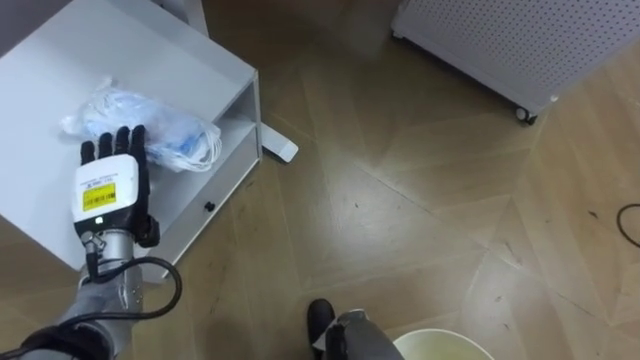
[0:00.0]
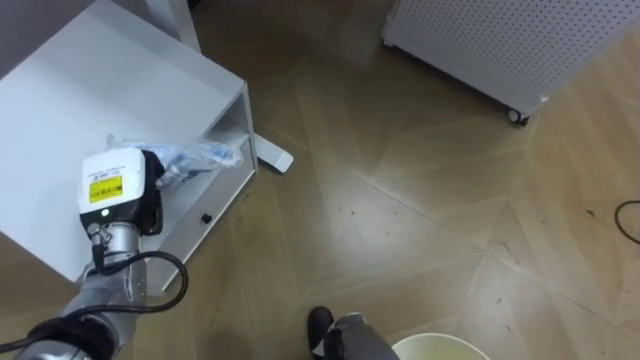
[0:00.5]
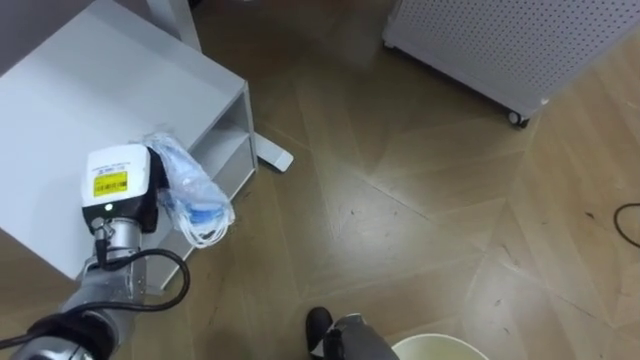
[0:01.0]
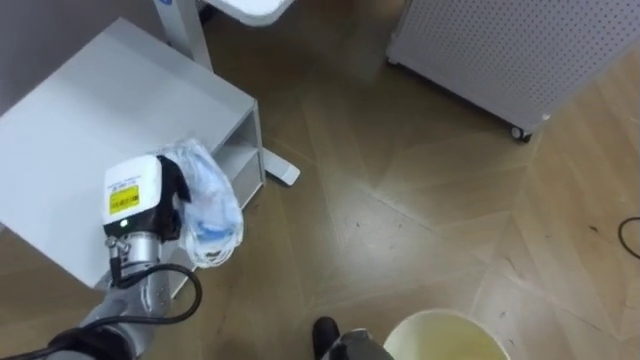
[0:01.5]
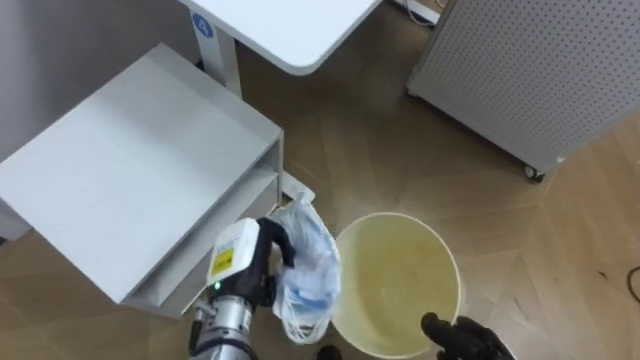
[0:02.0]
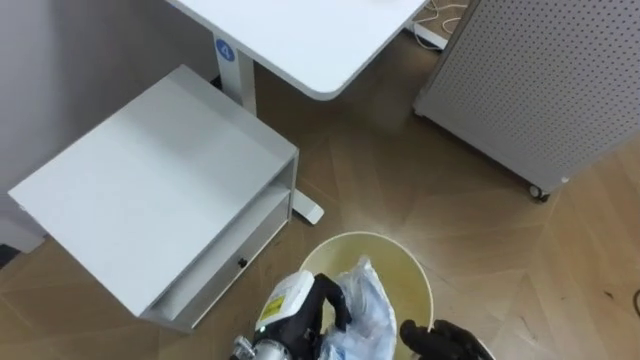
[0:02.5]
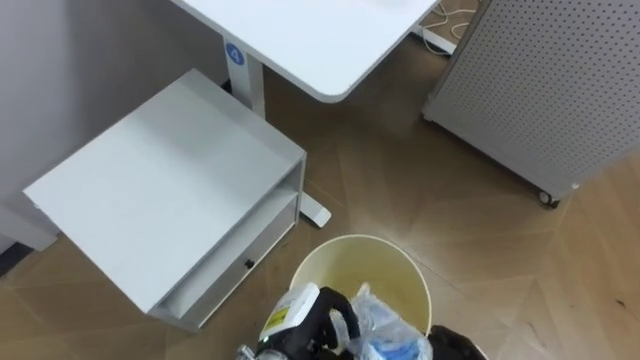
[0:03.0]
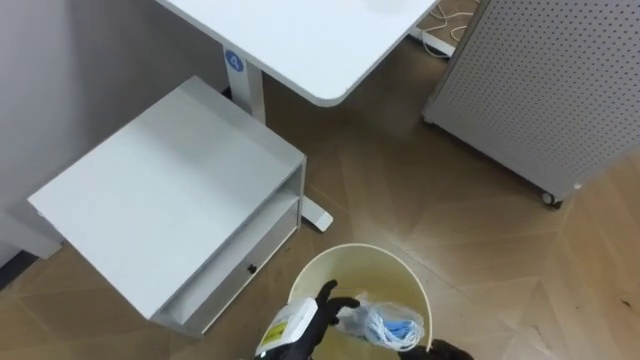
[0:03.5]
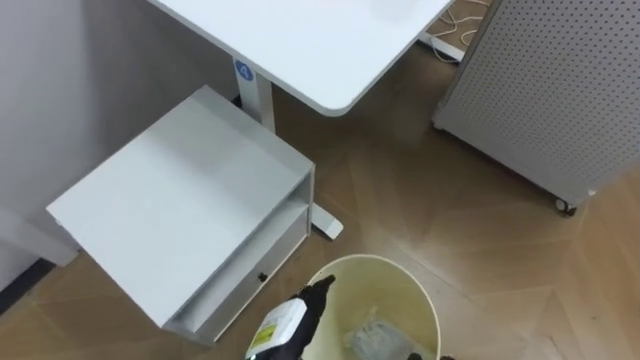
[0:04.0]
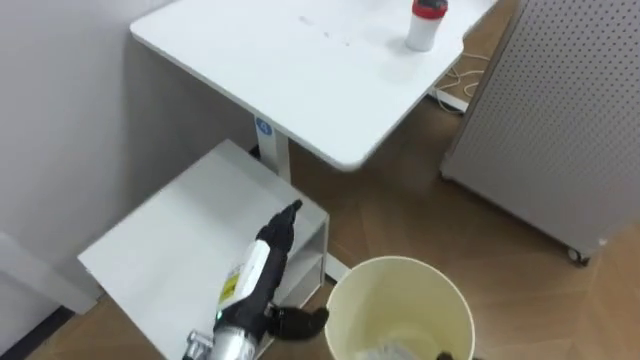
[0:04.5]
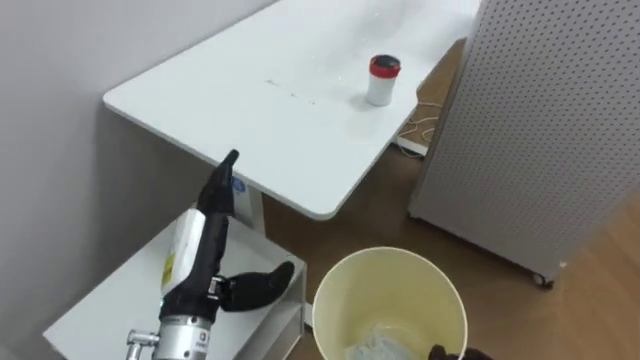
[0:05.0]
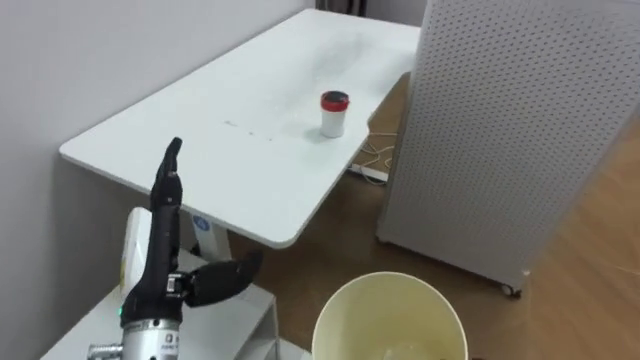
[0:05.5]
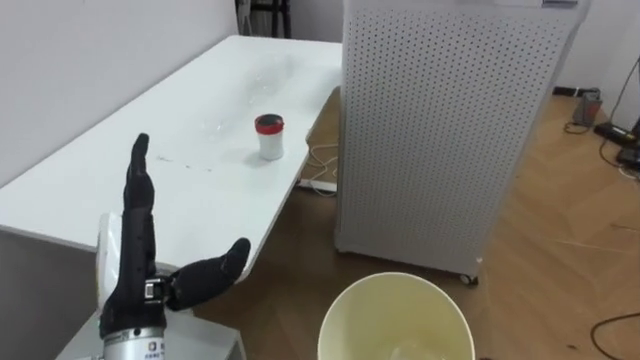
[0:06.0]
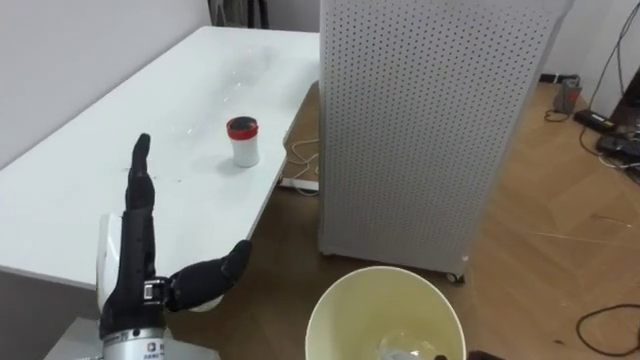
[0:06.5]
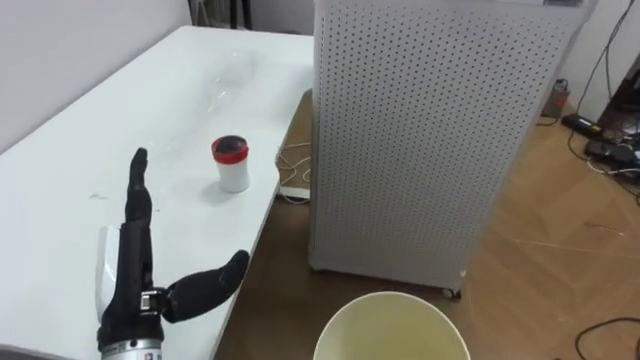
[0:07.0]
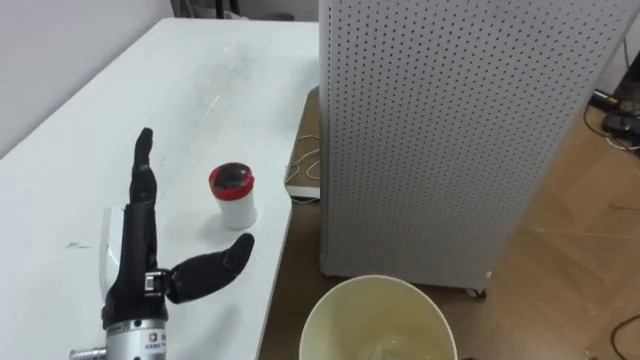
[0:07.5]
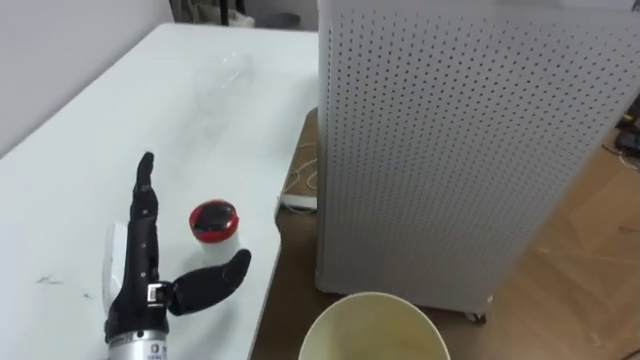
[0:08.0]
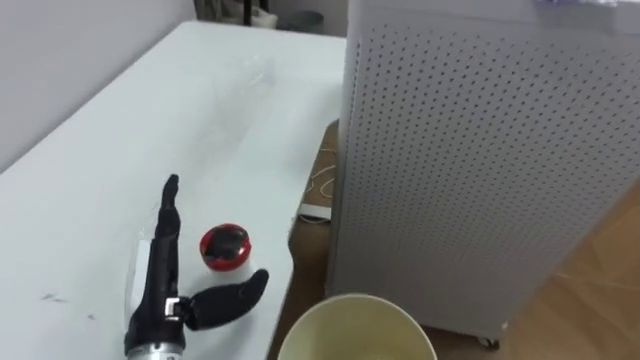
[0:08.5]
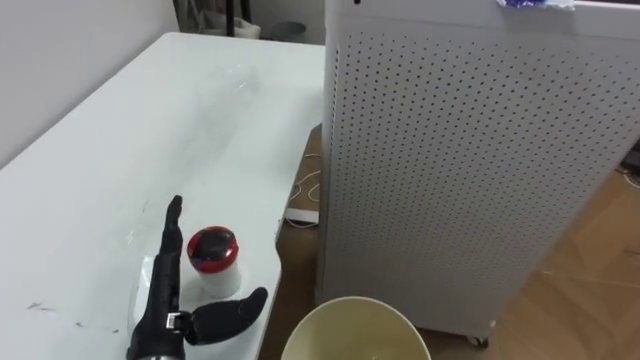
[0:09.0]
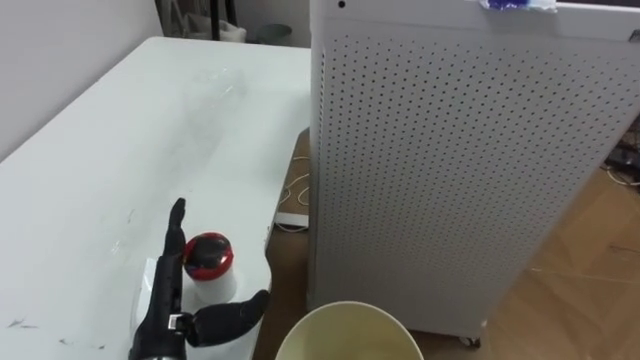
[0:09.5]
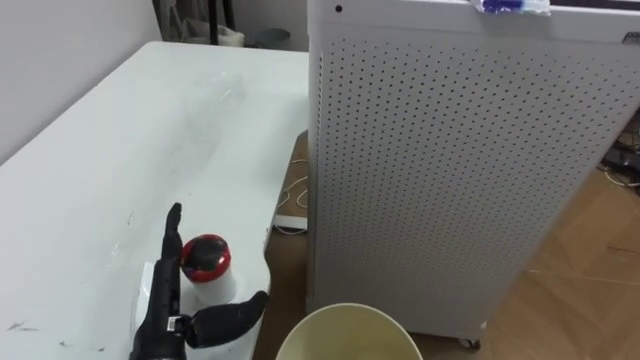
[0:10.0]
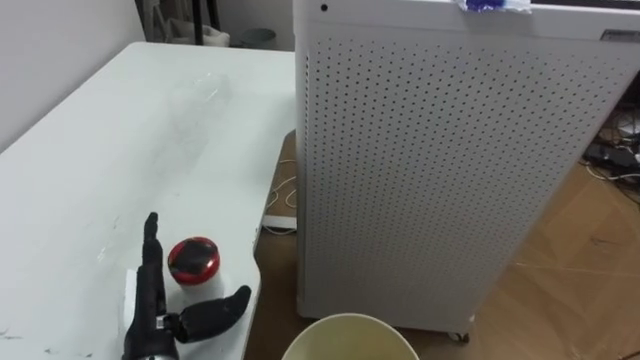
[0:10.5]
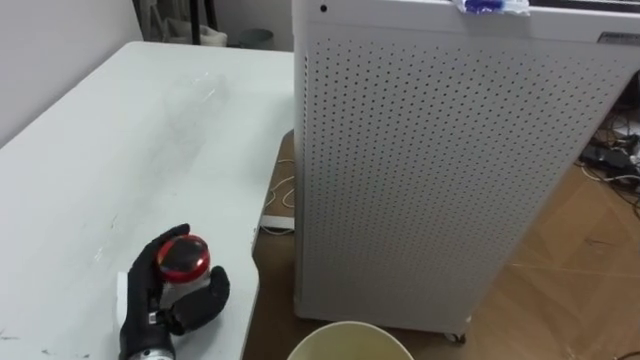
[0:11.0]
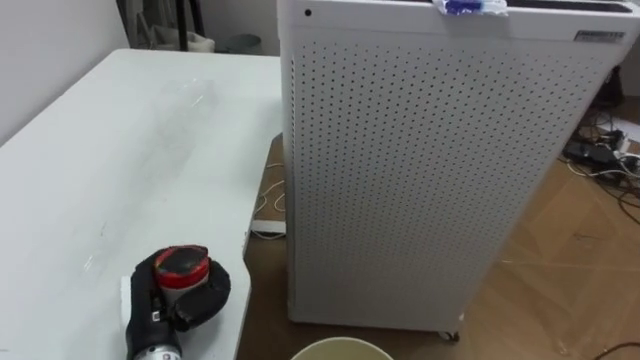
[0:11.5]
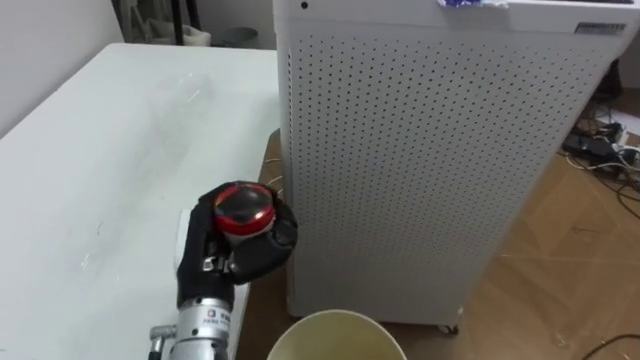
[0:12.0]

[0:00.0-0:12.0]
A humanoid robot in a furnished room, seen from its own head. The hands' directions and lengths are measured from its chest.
Task of the whole recording: Pick up the light blue package, the candy box, and the dark blue package separately, and put them into the trash can held in your right hand.
0:00.0 to 0:02.0: The left hand is displaced to the right and downward by some 15 cm, and closes.
0:02.0 to 0:04.0: The left hand travels backward, downward and to the right by about 10 cm, and opens.
0:04.0 to 0:06.0: The robot's body swings roughly 30 degrees to its right. The left hand is displaced upward and to the left by some 25 cm.
0:08.0 to 0:10.0: The left hand goes roughly 5 cm downward.
0:10.0 to 0:12.0: The left hand heads to the right, covering approximately 5 cm, and closes.

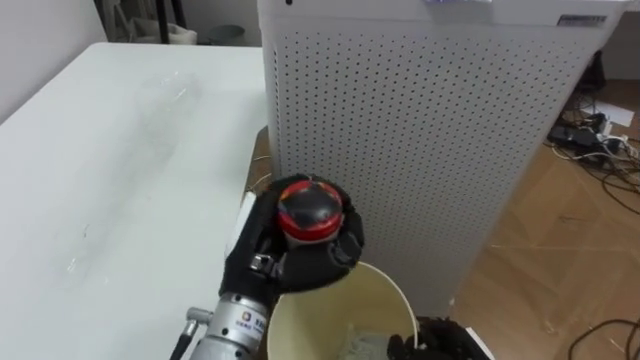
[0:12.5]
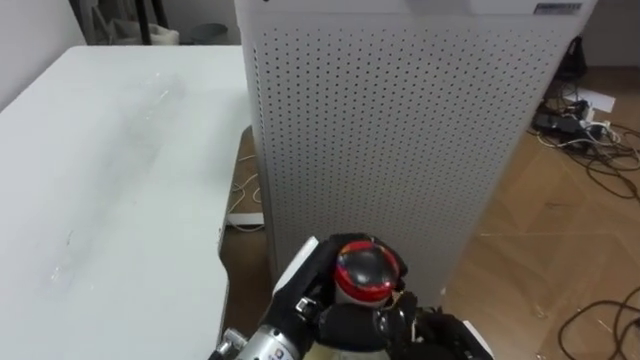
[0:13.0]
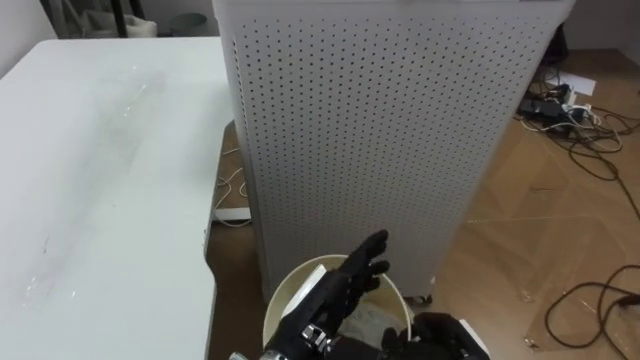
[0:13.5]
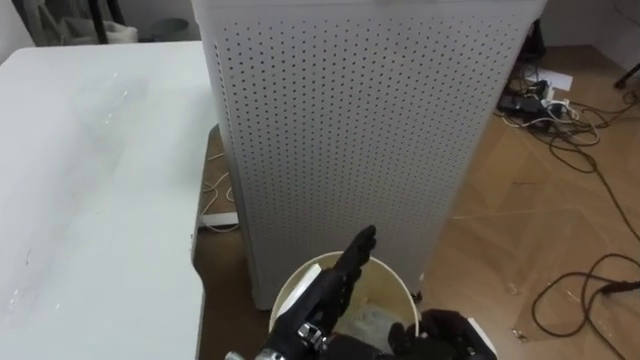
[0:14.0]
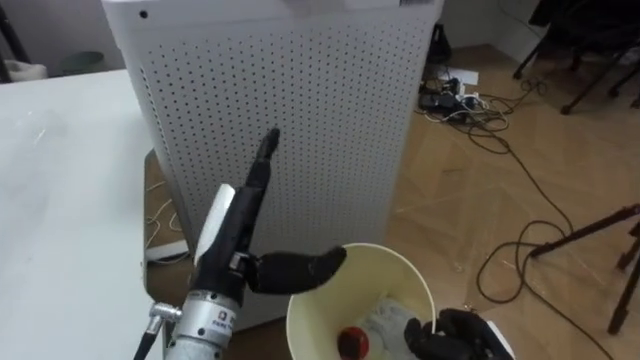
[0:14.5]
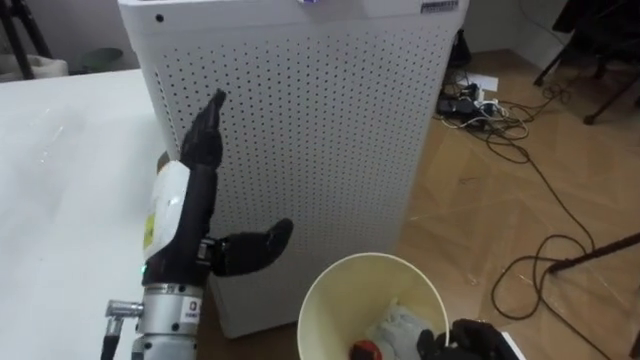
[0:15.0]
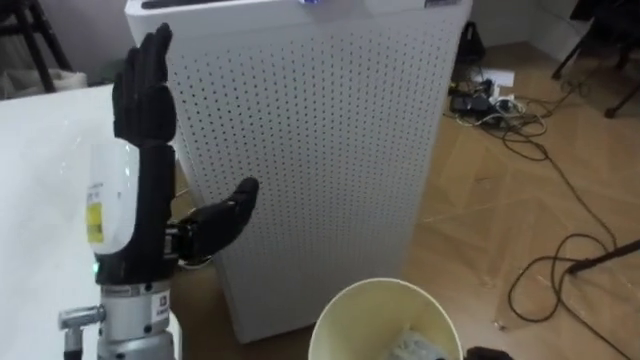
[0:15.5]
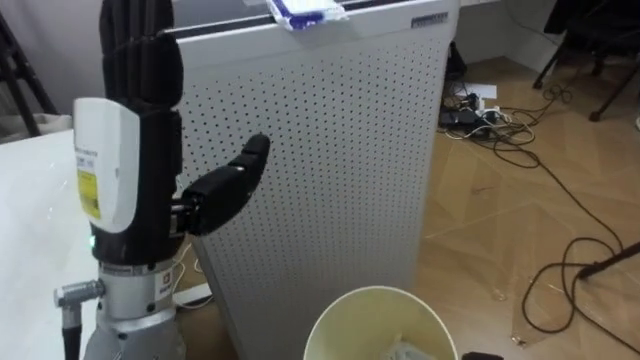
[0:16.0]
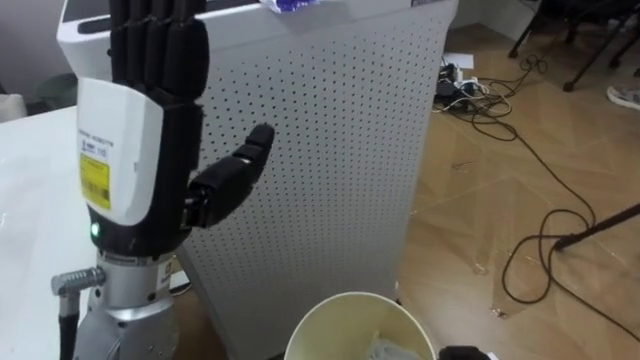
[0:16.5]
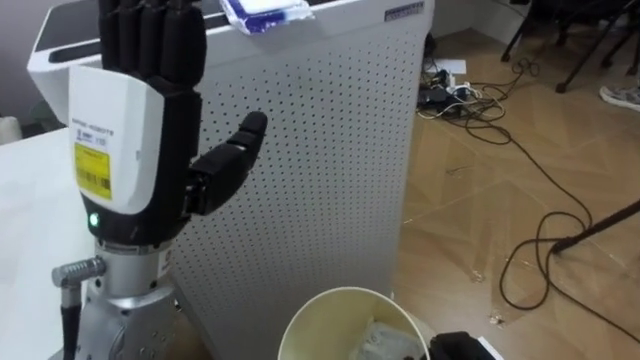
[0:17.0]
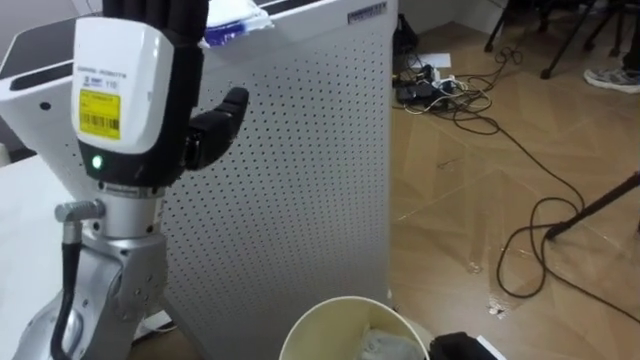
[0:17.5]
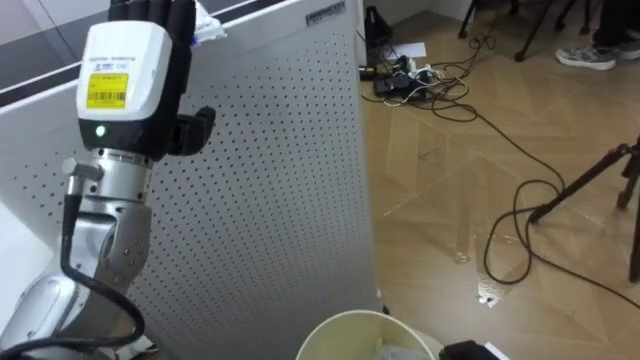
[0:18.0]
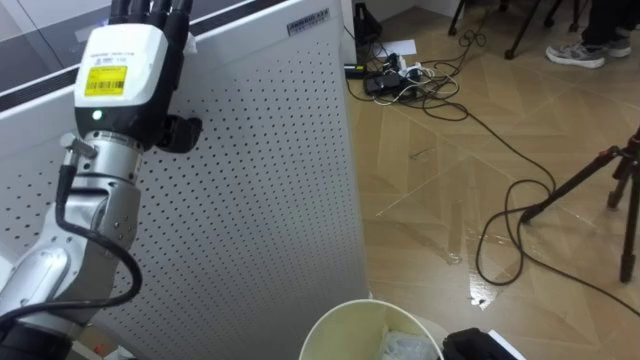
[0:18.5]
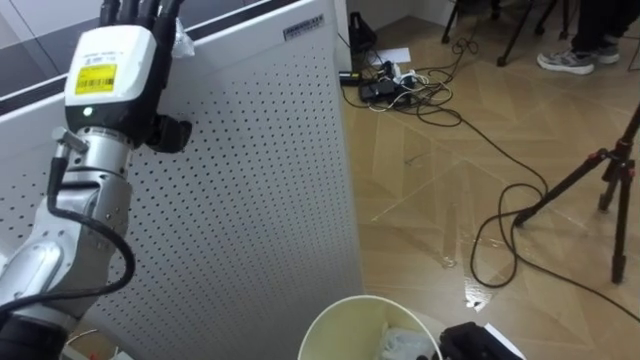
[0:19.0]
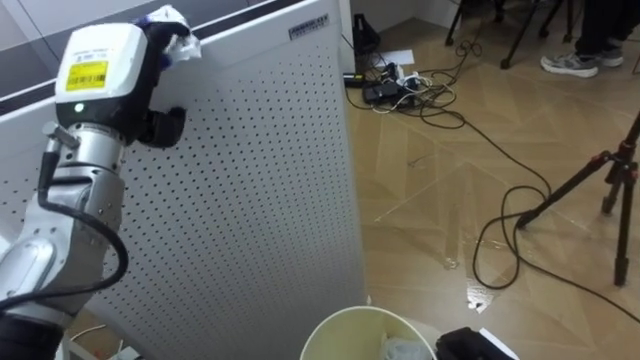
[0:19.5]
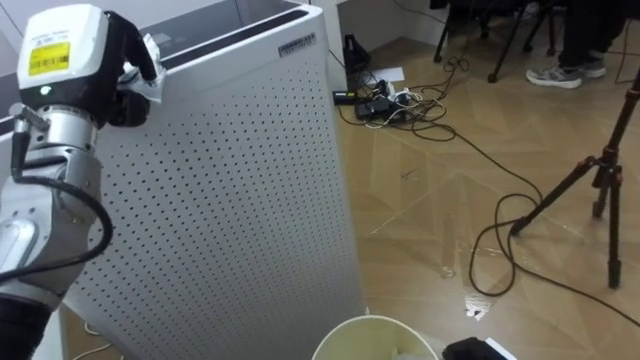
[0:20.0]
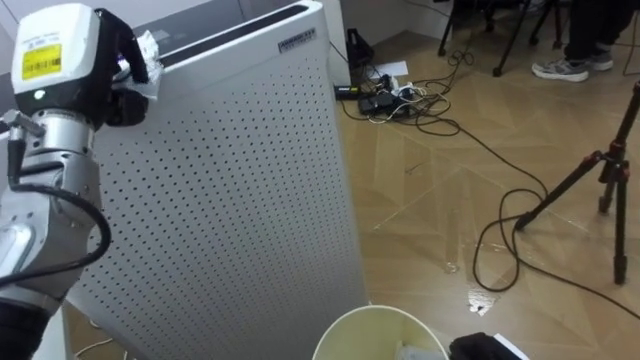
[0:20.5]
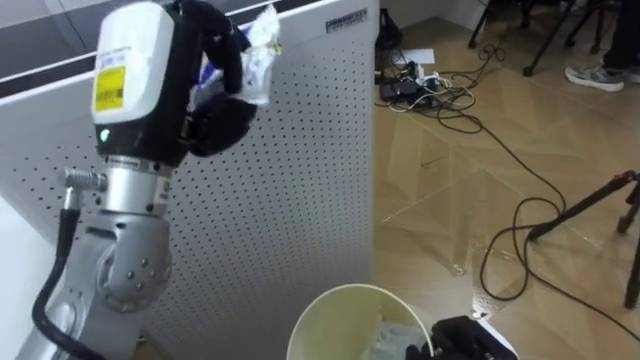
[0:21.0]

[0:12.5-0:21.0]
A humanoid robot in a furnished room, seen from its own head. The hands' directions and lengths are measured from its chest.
Task of the whole recording: Pick up the light blue package, the candy box, and the dark blue package separately, and put them into the trash can held in your right hand.
0:12.5 to 0:14.5: The robot's body swings roughly 20 degrees to its right. The left hand travels to the right and back again, approximately 5 cm each way, and opens up.
0:14.5 to 0:16.5: The left hand heads upward, covering about 15 cm.
0:16.5 to 0:19.0: The left hand heads forward and to the left, covering roughly 15 cm.
0:19.0 to 0:21.0: The left hand travels backward and to the right by about 10 cm, and closes its fingers.
